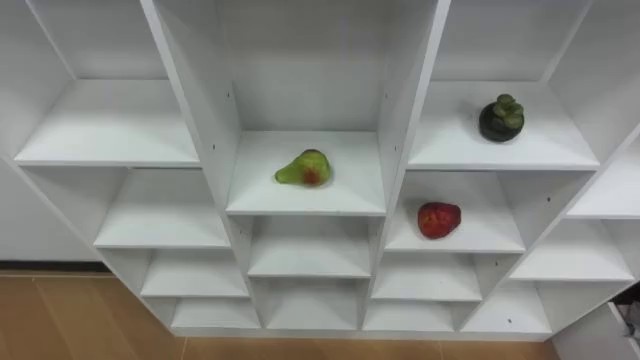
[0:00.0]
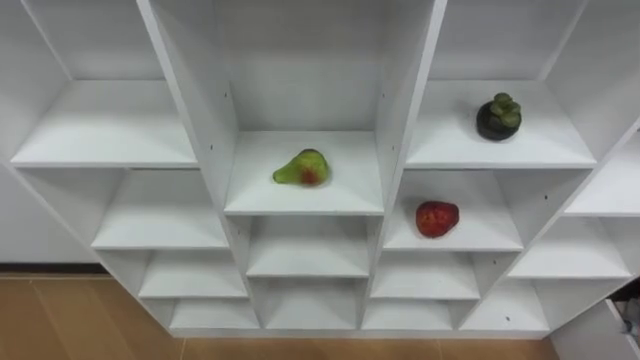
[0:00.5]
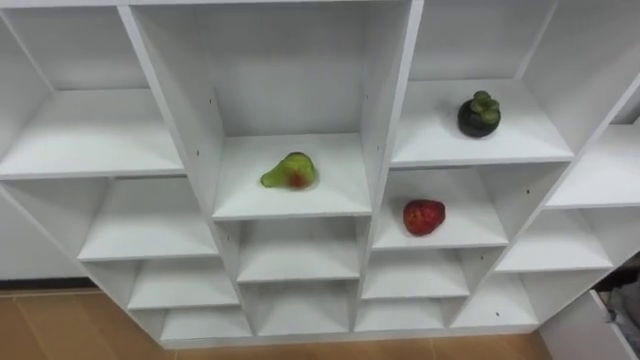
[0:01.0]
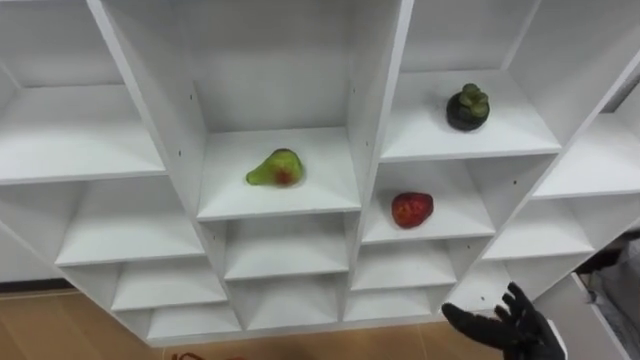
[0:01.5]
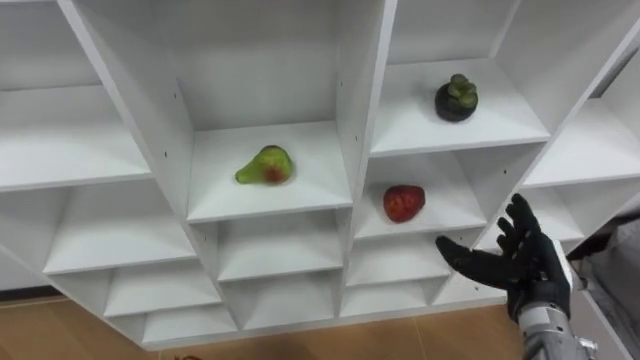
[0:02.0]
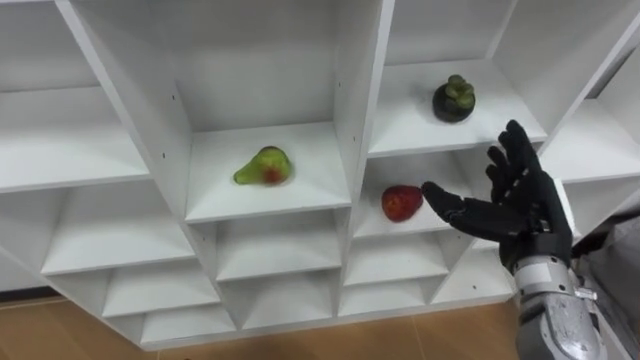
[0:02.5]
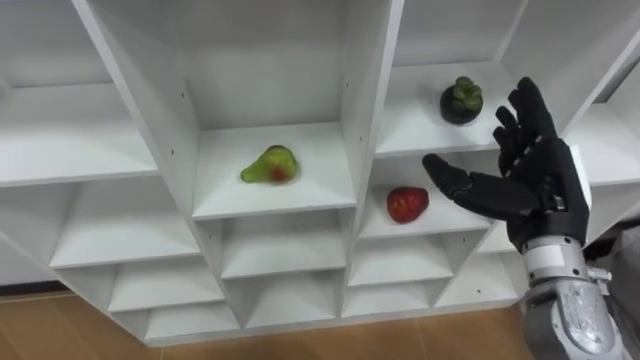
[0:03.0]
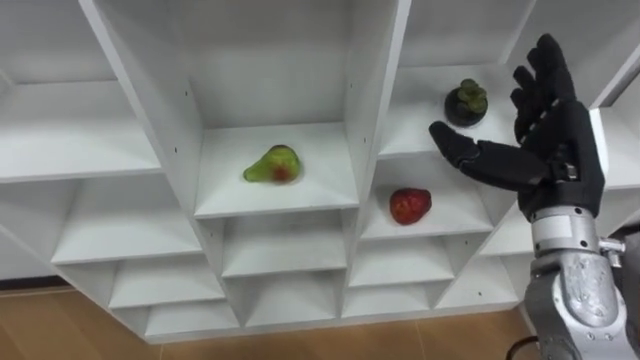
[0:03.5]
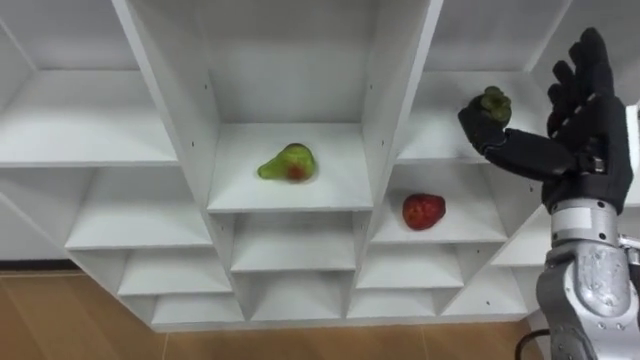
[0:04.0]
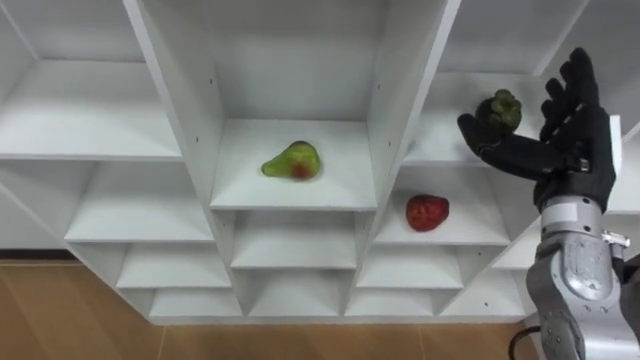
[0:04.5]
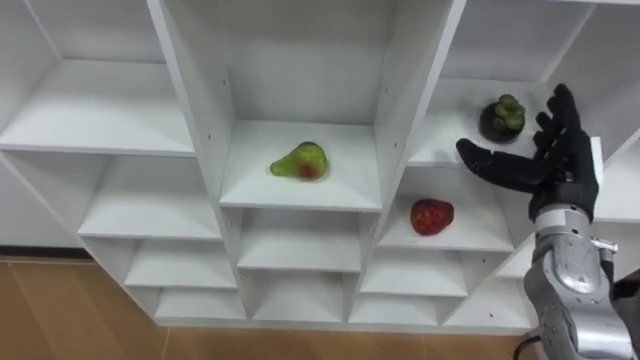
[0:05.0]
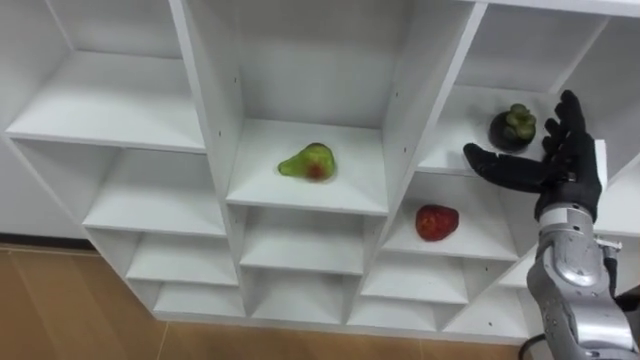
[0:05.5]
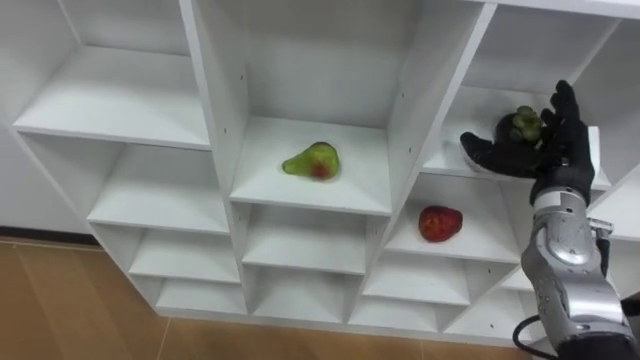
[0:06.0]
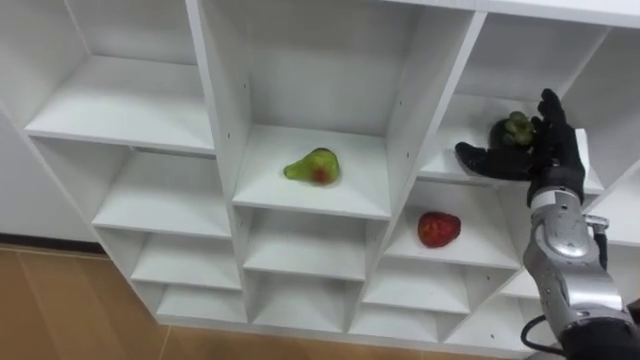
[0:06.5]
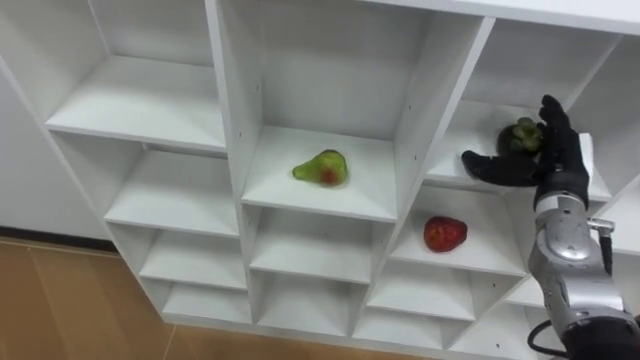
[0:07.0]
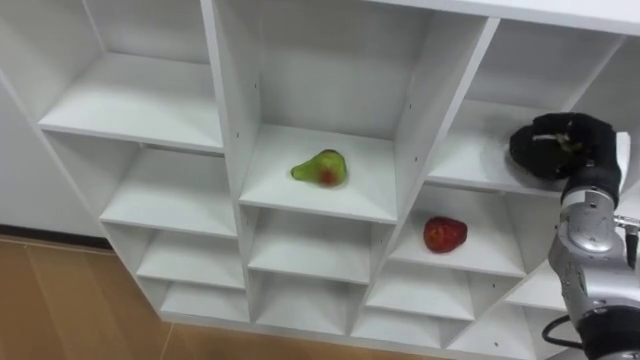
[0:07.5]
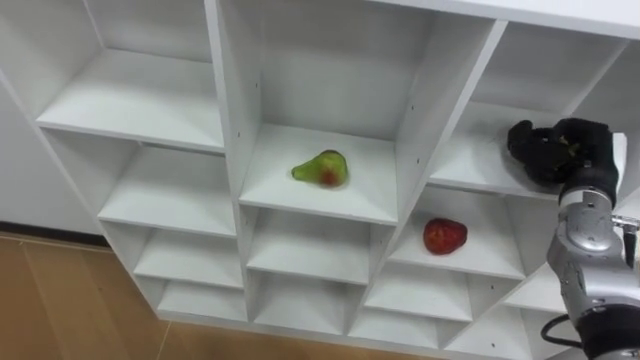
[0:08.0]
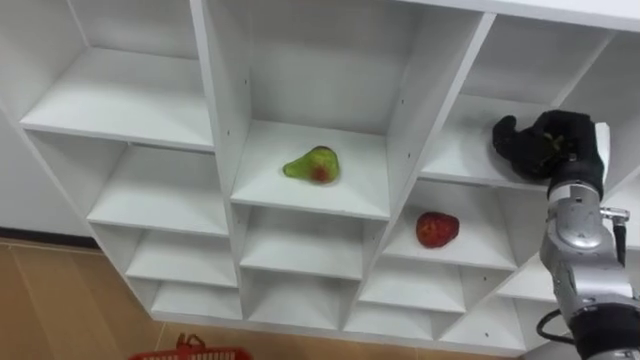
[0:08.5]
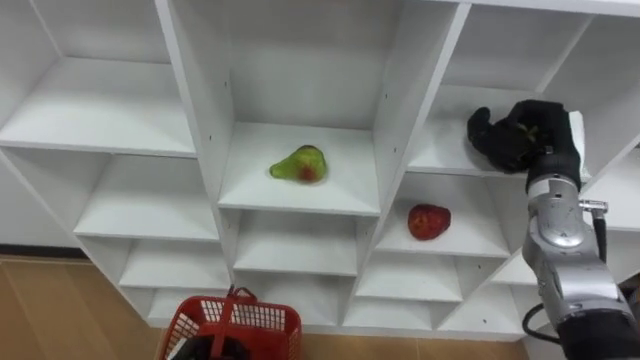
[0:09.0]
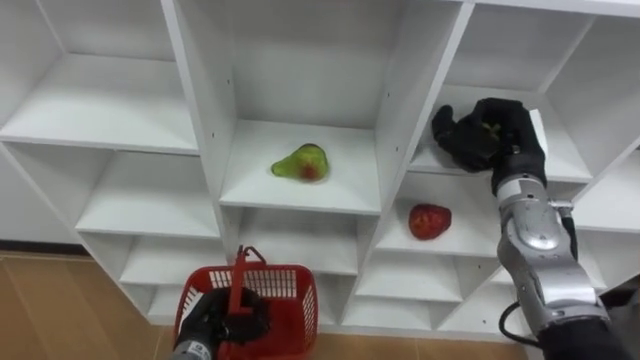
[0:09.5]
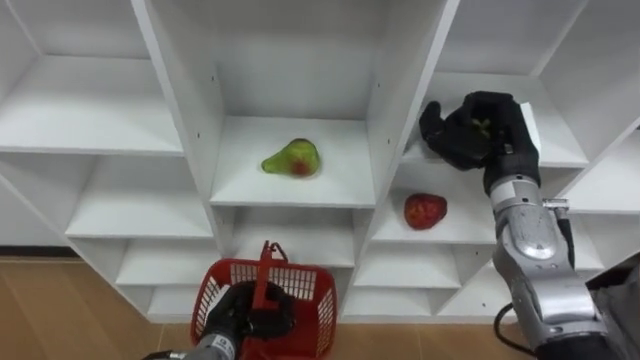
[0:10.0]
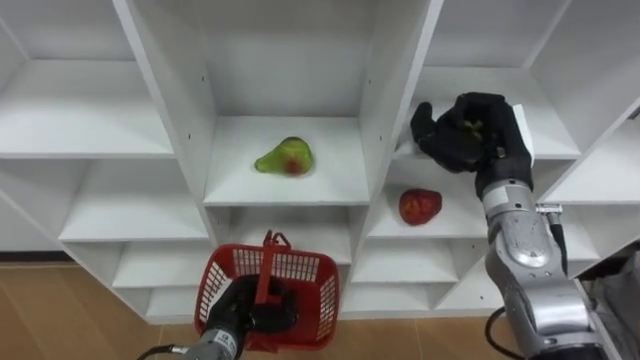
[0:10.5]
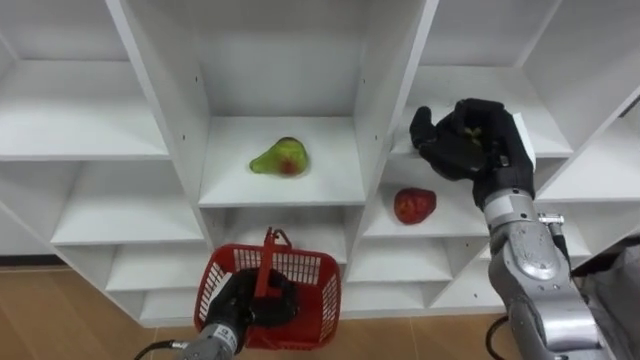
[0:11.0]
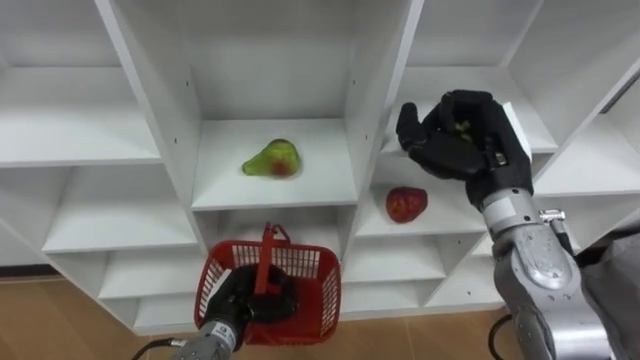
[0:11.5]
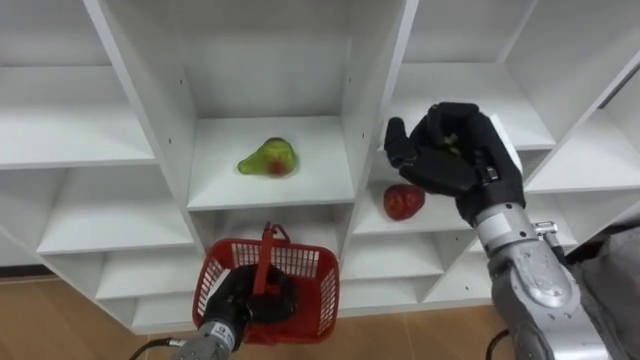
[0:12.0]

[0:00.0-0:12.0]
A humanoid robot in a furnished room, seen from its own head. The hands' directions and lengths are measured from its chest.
Task of the whole recording: Hold the basket and collect the fruits from 3 different cells of the closet into it.
0:02.0 to 0:04.0: The right hand travels upward by approximately 15 cm.
0:04.0 to 0:06.0: The right hand moves downward, approximately 10 cm.
0:06.0 to 0:08.0: The right hand closes its fingers.
0:08.0 to 0:10.0: The right hand travels to the left by roughly 10 cm.
0:10.0 to 0:12.0: The right hand shifts by about 5 cm.

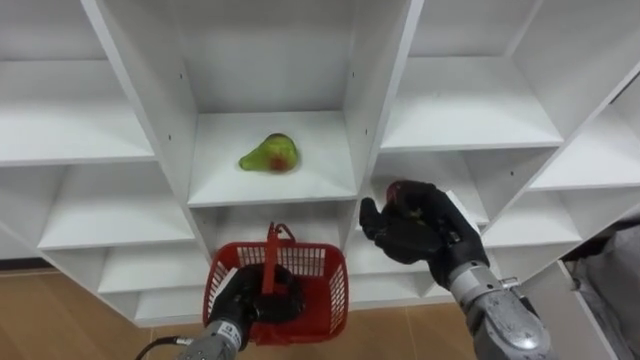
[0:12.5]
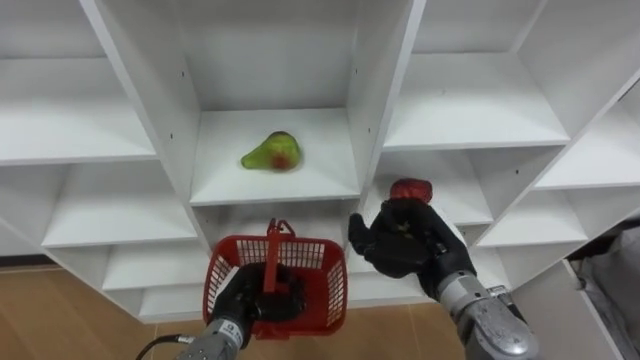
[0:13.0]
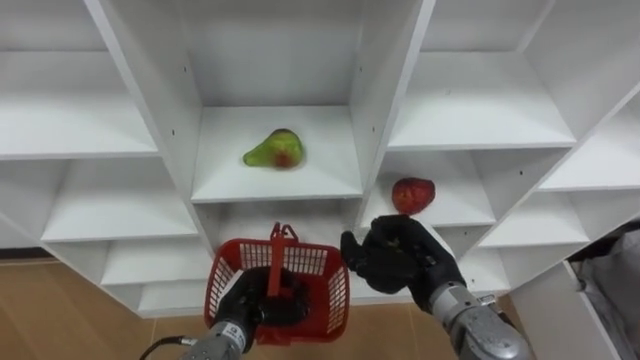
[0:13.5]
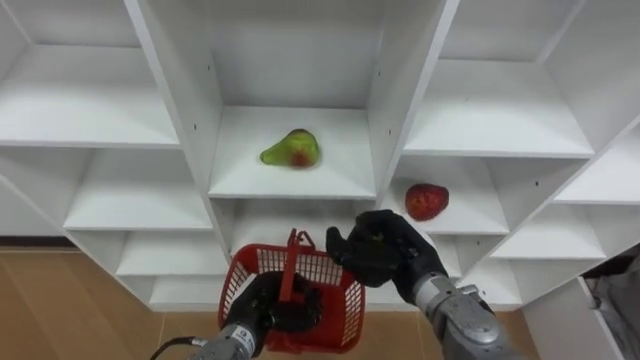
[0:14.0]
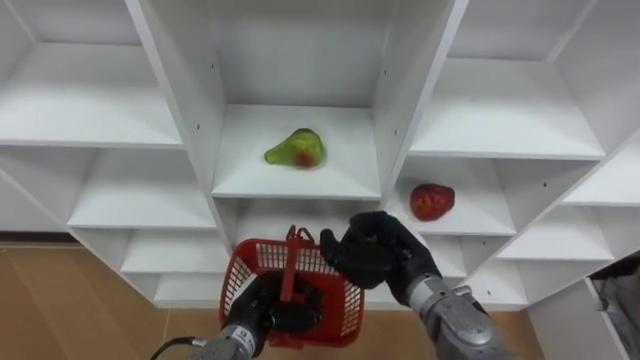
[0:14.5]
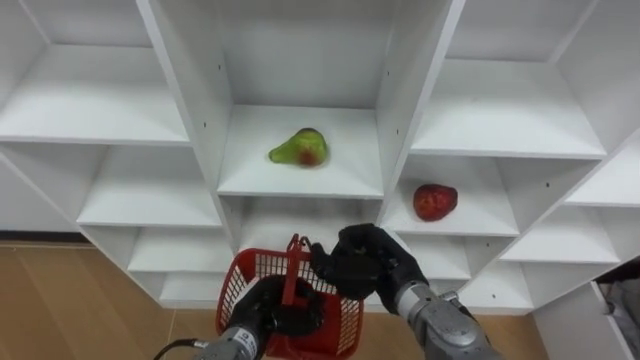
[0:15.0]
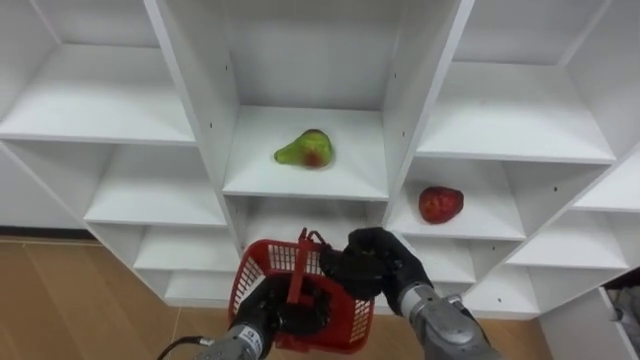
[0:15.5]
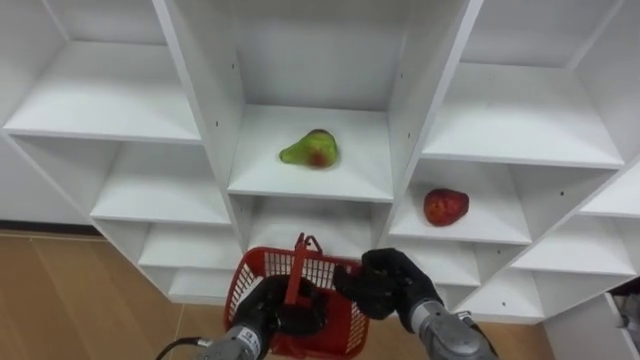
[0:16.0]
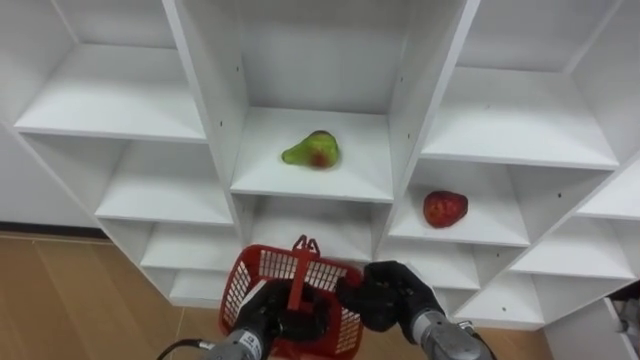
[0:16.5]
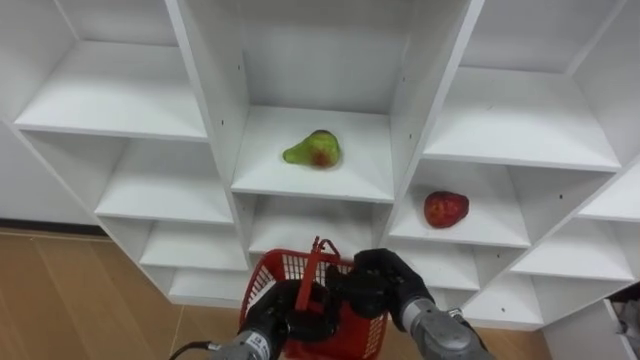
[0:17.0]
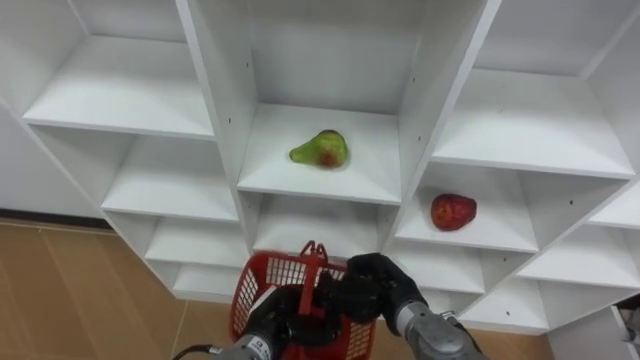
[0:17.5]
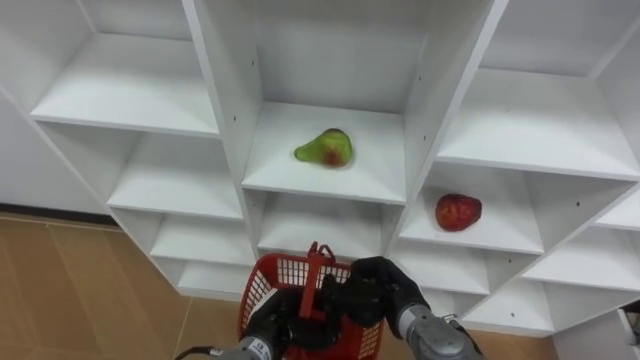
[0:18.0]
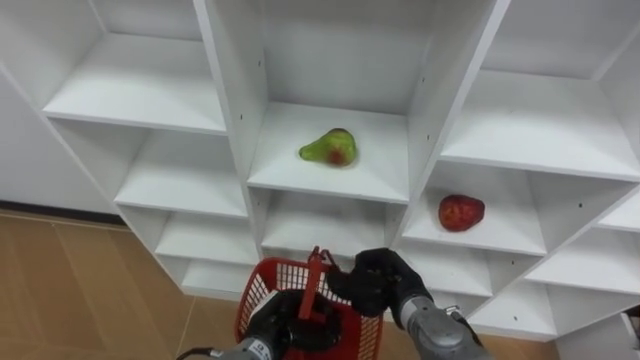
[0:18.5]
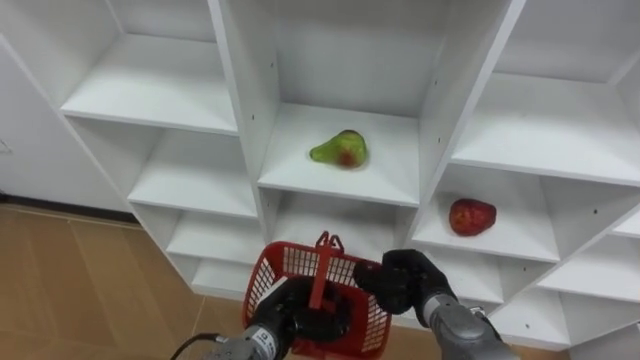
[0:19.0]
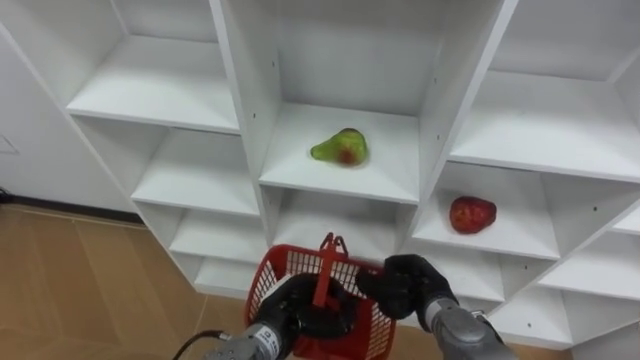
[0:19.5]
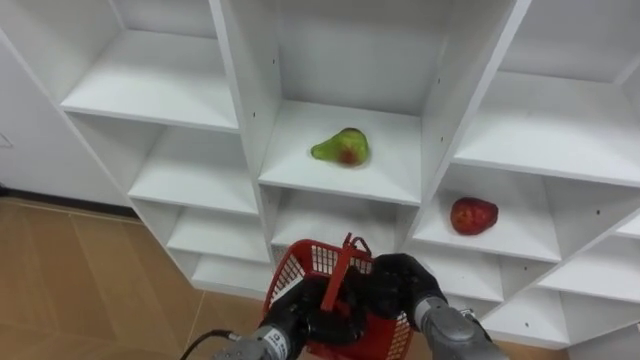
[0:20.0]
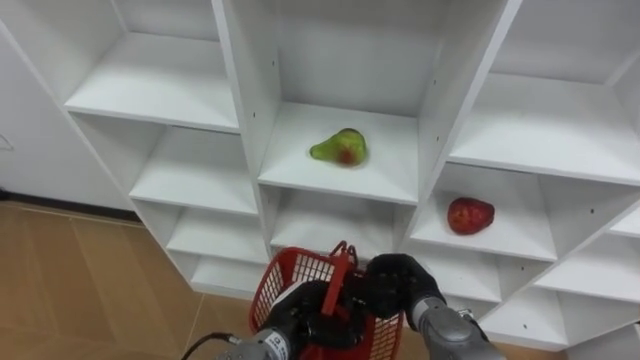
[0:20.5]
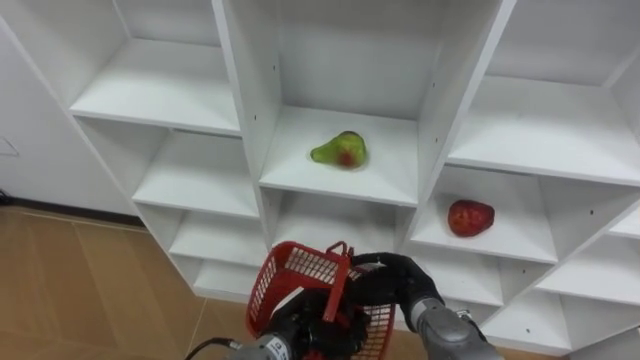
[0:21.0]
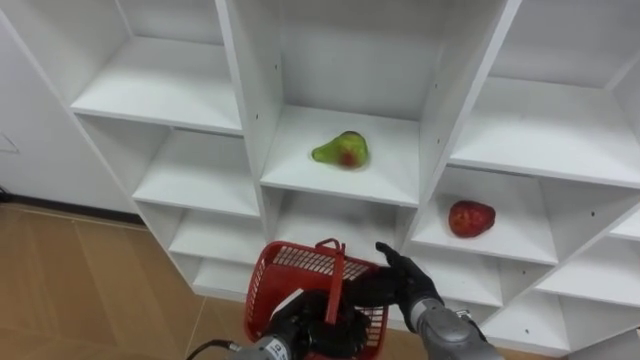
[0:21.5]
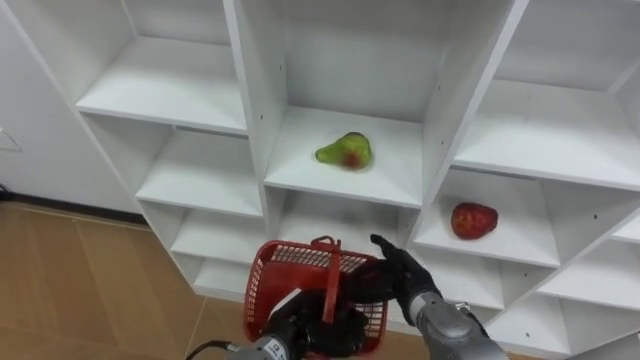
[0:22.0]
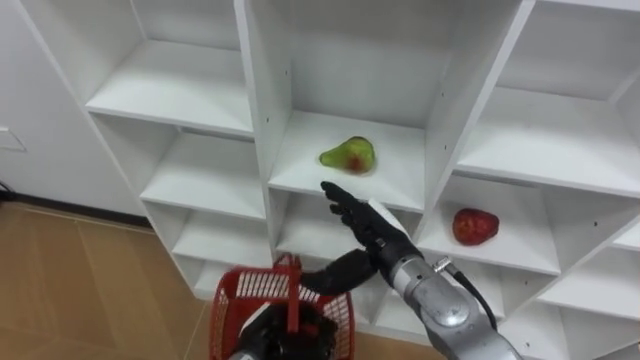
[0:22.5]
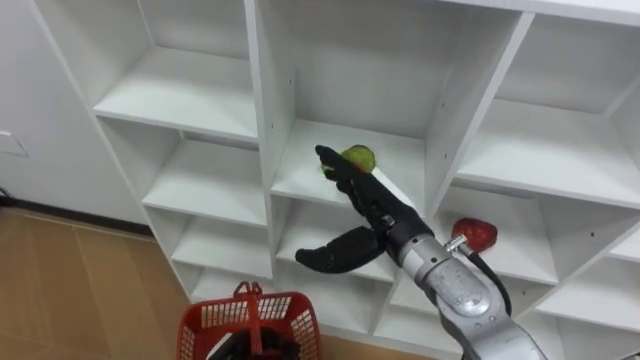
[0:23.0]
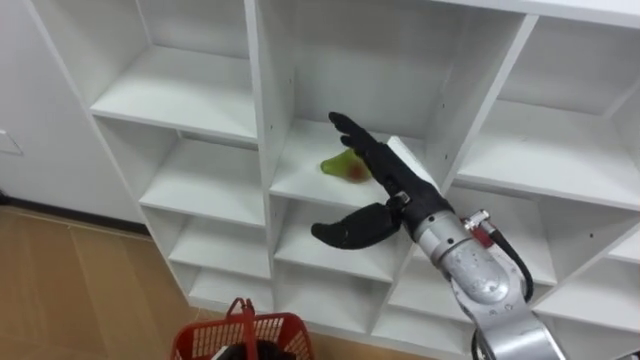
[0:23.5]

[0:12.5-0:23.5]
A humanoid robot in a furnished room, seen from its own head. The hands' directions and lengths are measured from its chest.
Task of the whole recording: Hold the basket and collect the fruits from 3 different cells of the closet into it.
0:12.5 to 0:14.5: The right hand shifts some 5 cm to the left.
0:14.5 to 0:16.0: The right hand heads downward, covering approximately 5 cm.
0:20.0 to 0:21.5: The right hand opens up.
0:21.5 to 0:23.5: The right hand moves upward, roughly 20 cm.
